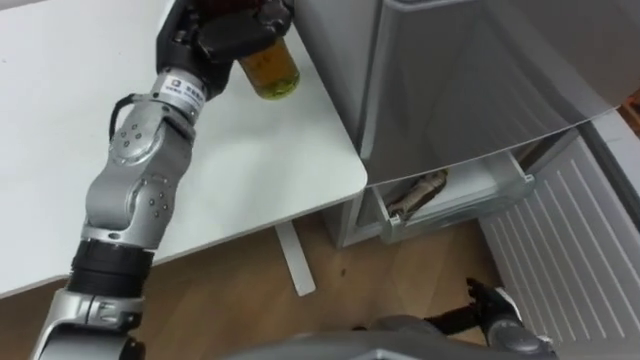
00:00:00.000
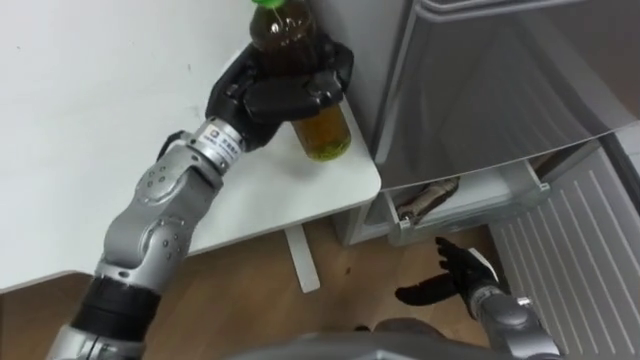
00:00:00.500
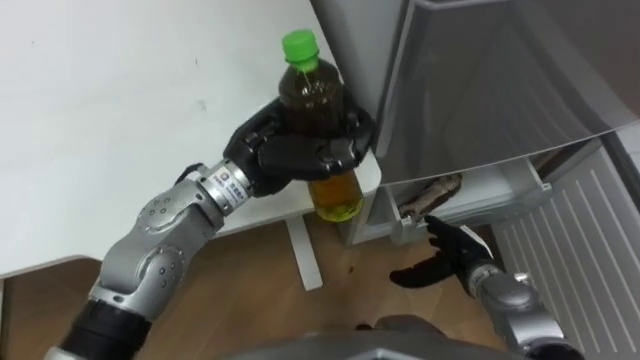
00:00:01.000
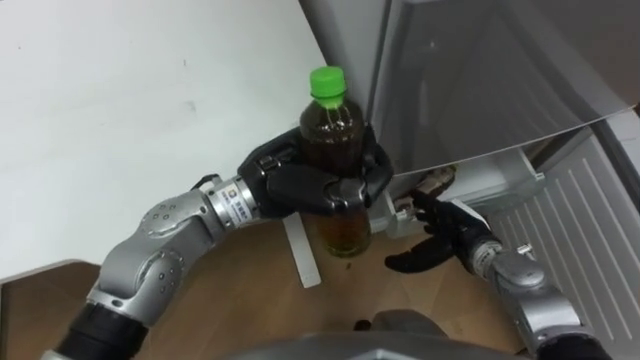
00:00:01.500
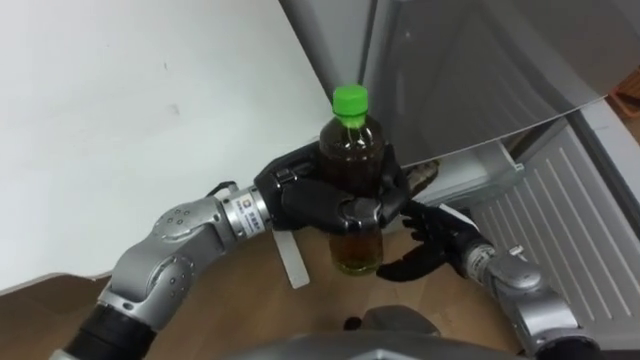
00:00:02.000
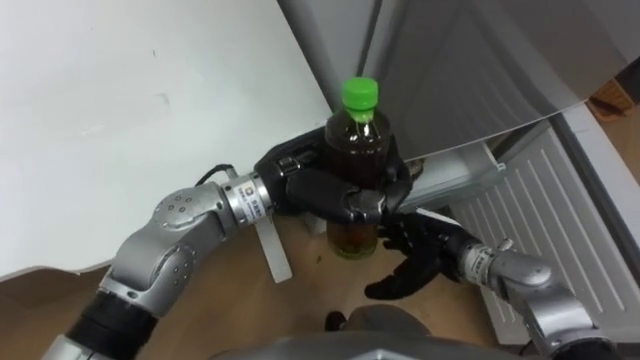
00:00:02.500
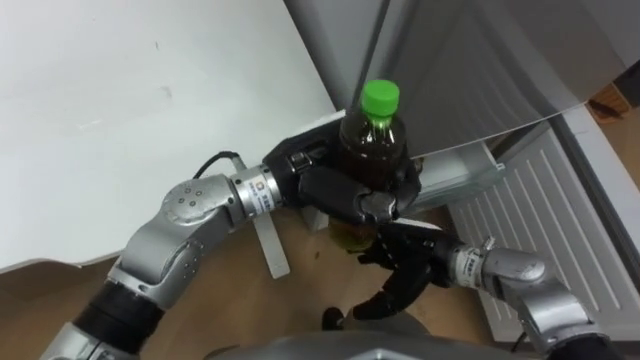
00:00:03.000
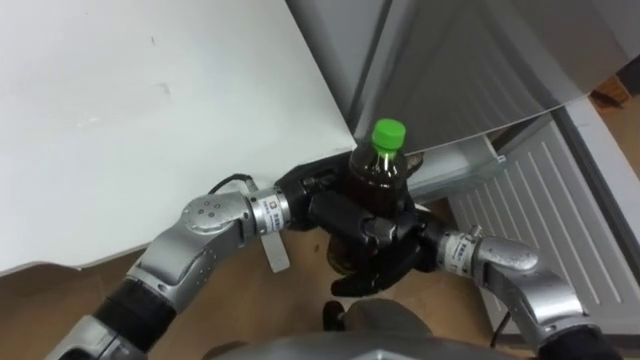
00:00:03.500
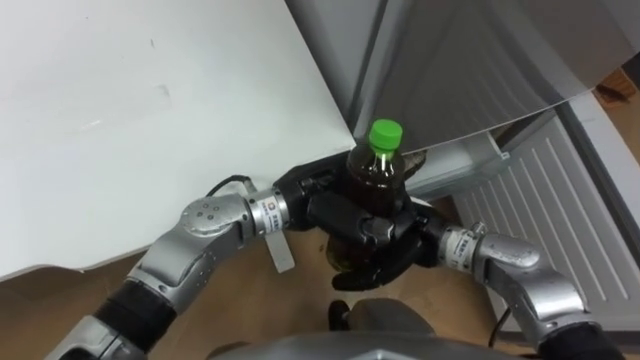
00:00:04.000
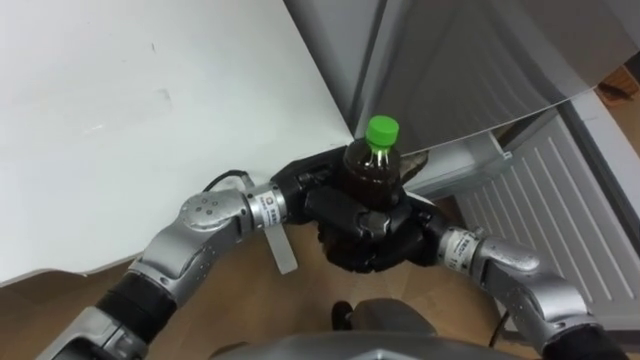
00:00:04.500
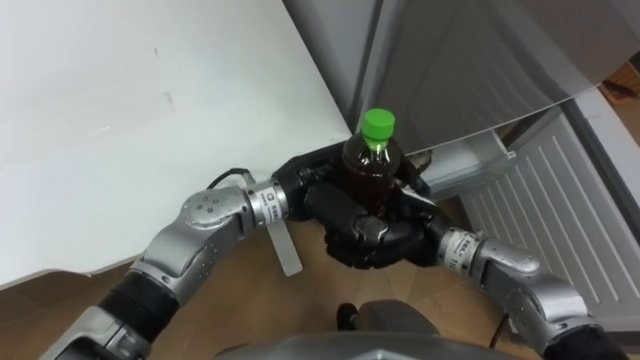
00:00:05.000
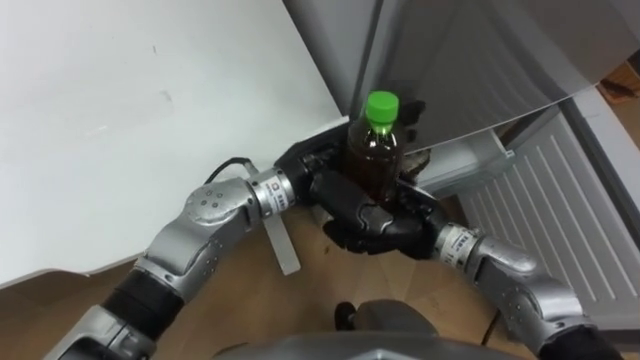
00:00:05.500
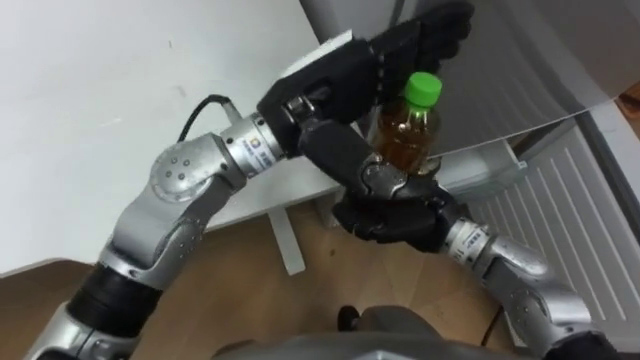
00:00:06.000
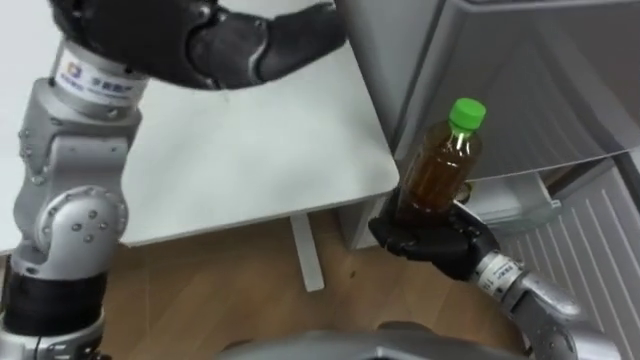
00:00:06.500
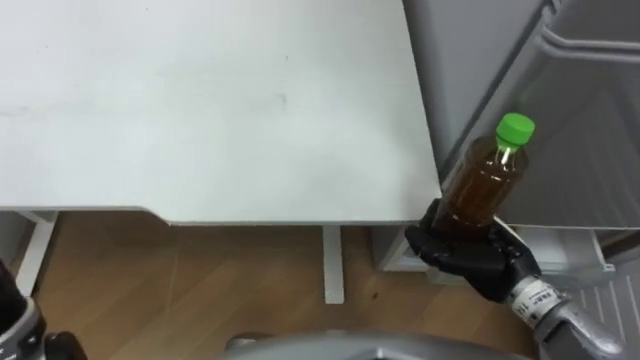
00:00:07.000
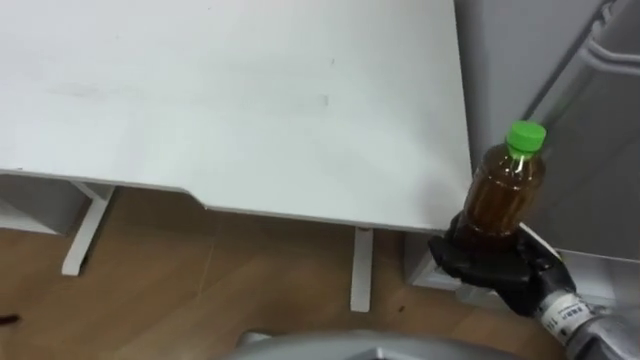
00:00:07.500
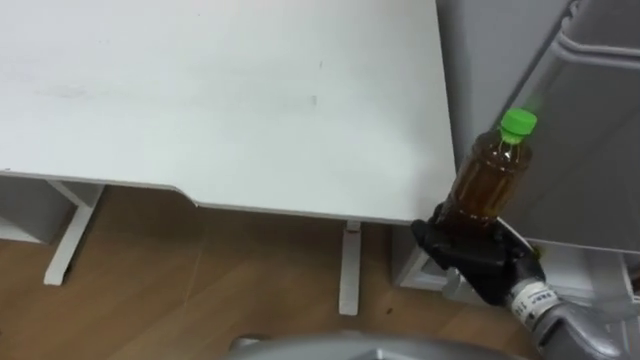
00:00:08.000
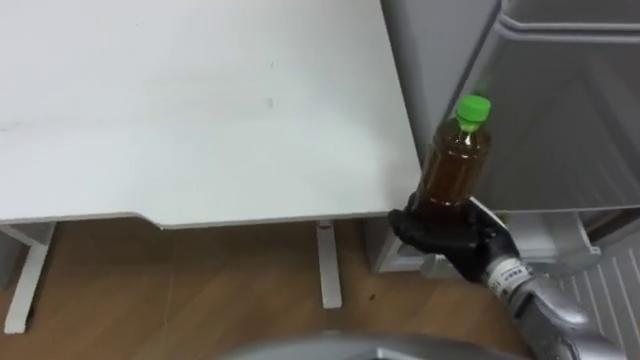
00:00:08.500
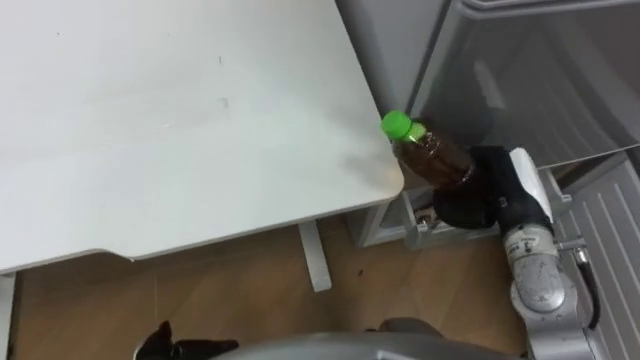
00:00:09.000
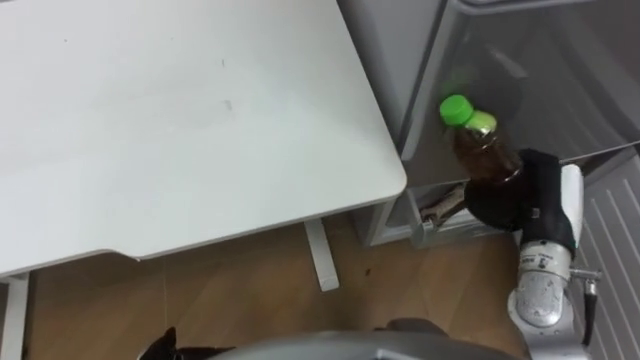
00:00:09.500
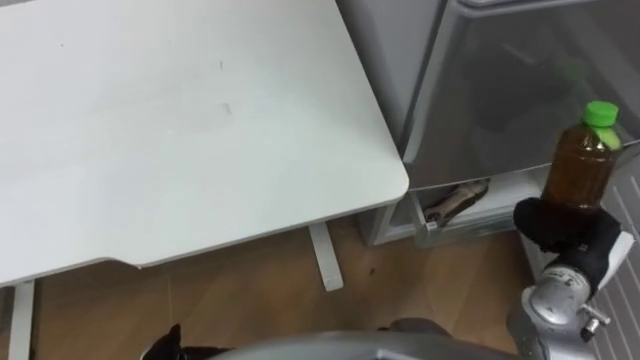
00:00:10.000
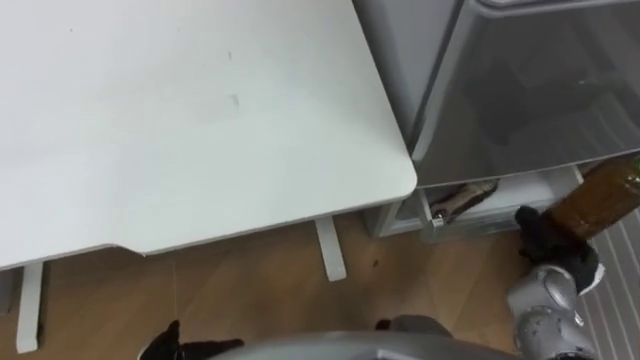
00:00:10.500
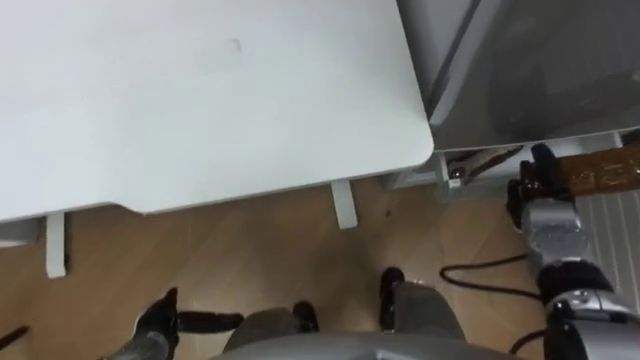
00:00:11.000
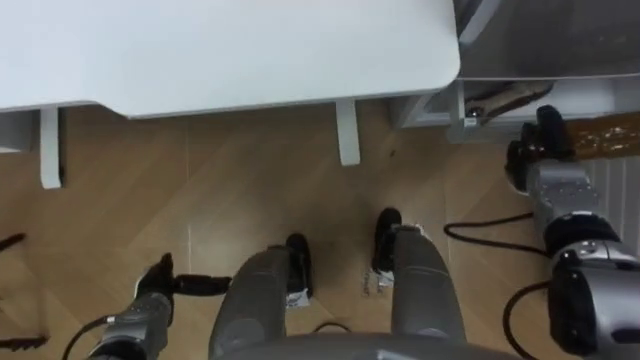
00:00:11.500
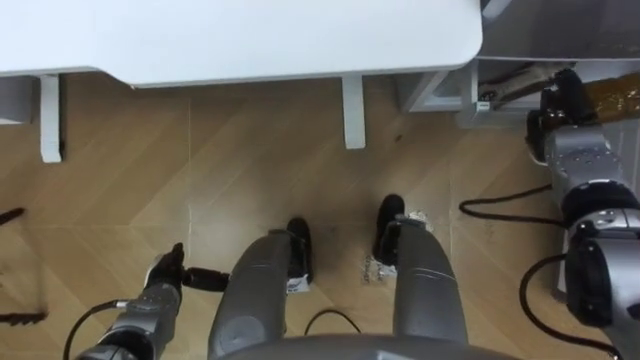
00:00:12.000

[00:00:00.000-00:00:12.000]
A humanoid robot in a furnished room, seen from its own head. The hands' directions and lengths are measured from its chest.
Task of the whole recording: Place the drink on the table on the bottom shelf of the refrigerator, then close the drawer and the refrigerator door.
00:00:00.000 to 00:00:02.000: The right hand moves forward, upward and to the left, roughly 15 cm. Meanwhile the left hand heads backward, to the right and downward, covering some 20 cm.
00:00:02.000 to 00:00:04.000: The right hand shifts approximately 10 cm to the left and upward.
00:00:04.000 to 00:00:06.000: The left hand shifts approximately 15 cm upward, and opens up. Meanwhile the right hand closes up.
00:00:06.000 to 00:00:08.000: The right hand shifts about 15 cm to the right and backward.
00:00:08.000 to 00:00:10.000: The right hand goes roughly 10 cm to the right.
00:00:10.000 to 00:00:12.000: The right hand goes about 15 cm forward.

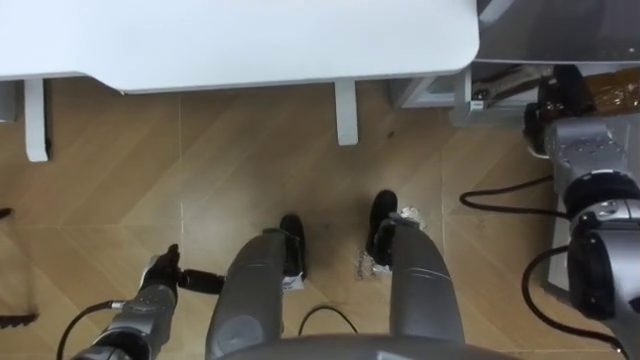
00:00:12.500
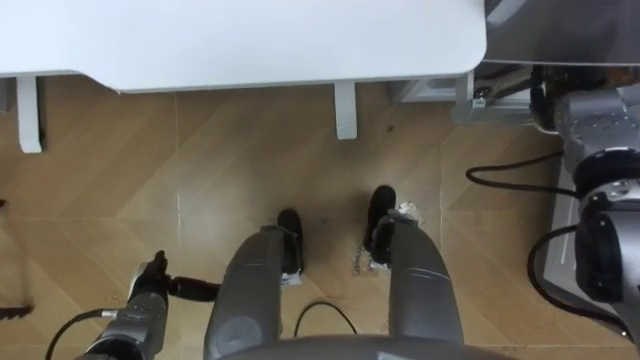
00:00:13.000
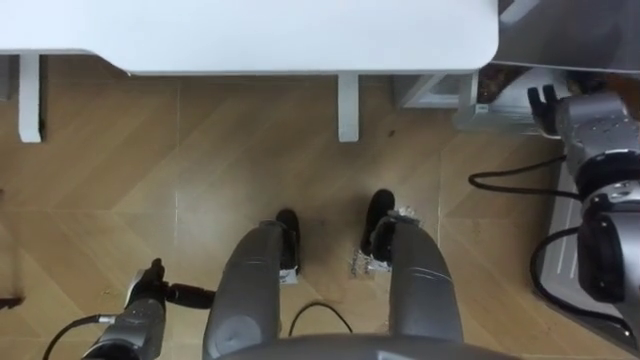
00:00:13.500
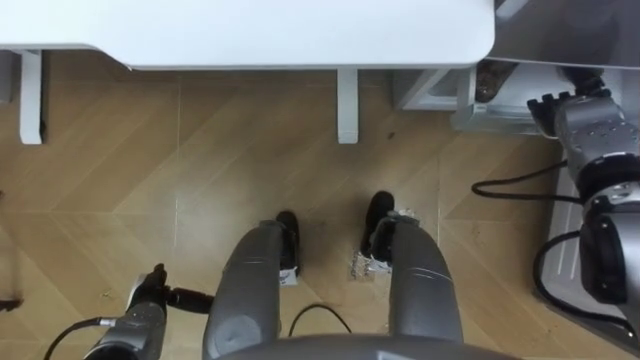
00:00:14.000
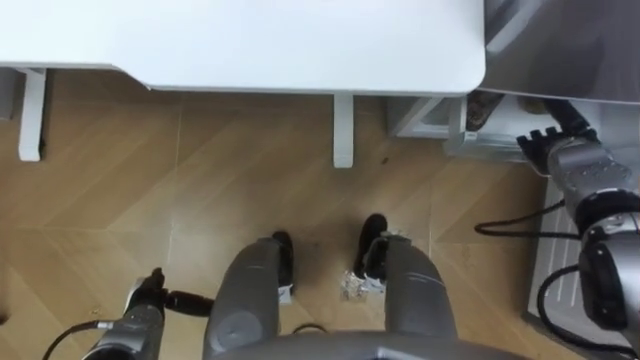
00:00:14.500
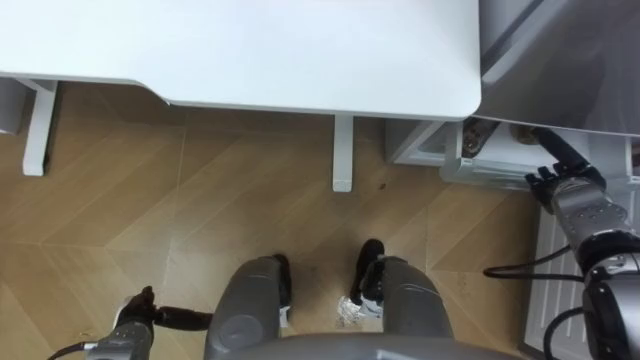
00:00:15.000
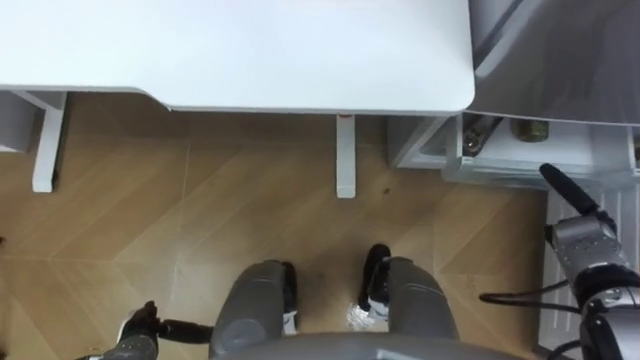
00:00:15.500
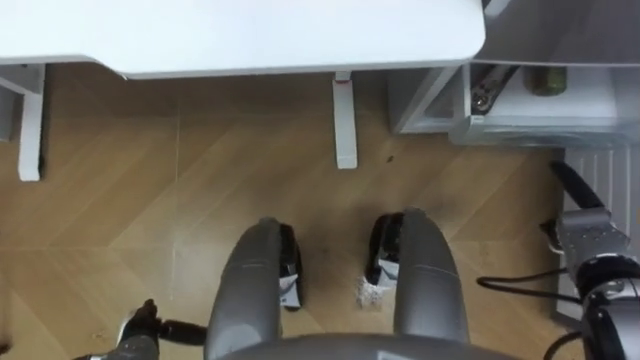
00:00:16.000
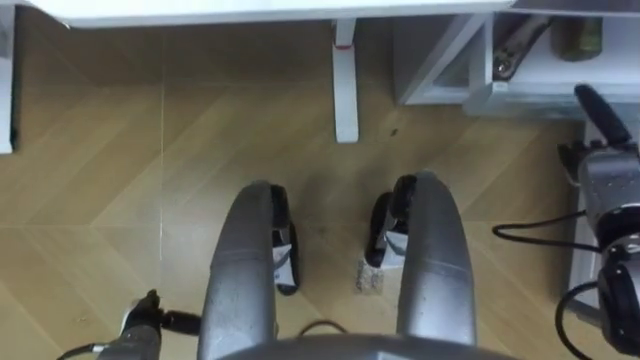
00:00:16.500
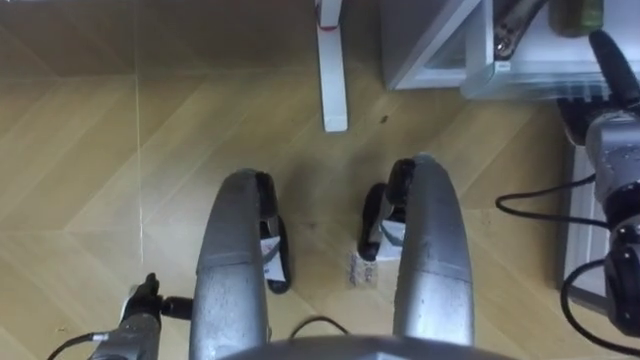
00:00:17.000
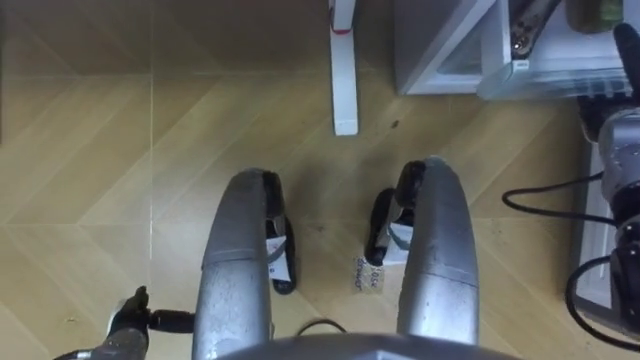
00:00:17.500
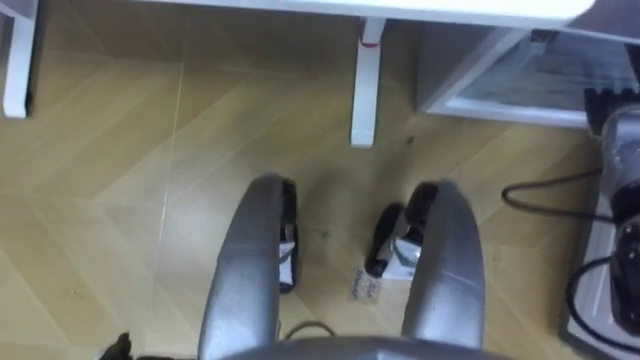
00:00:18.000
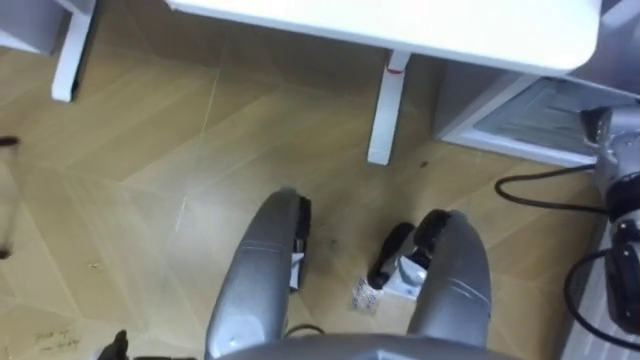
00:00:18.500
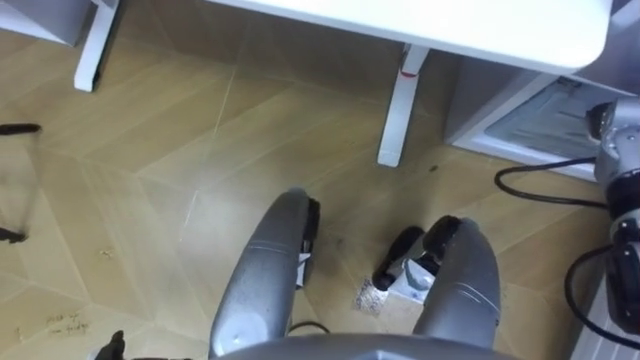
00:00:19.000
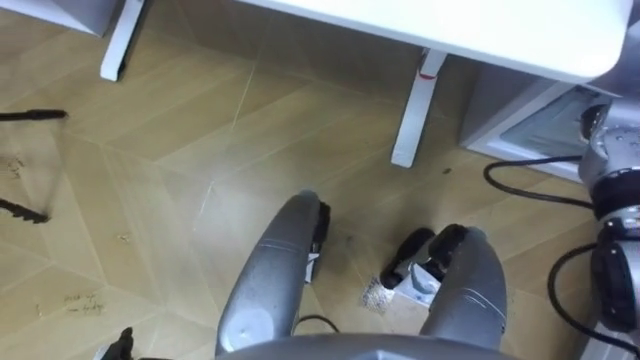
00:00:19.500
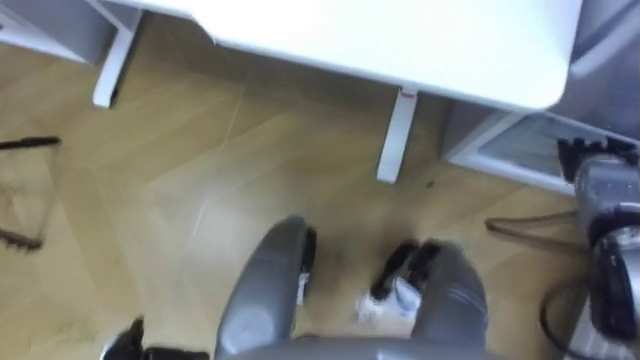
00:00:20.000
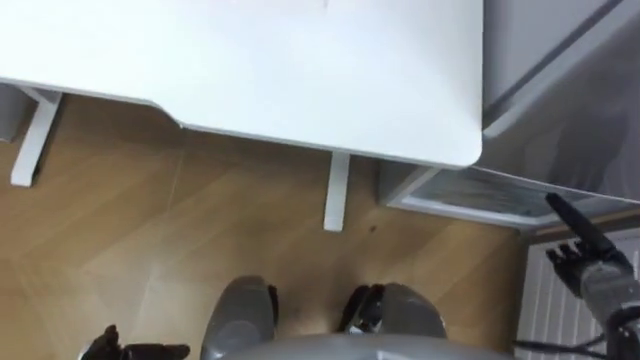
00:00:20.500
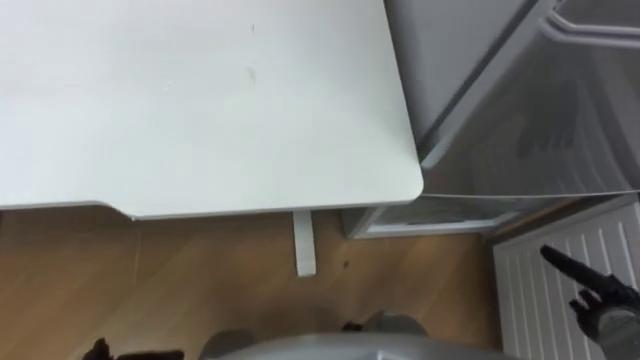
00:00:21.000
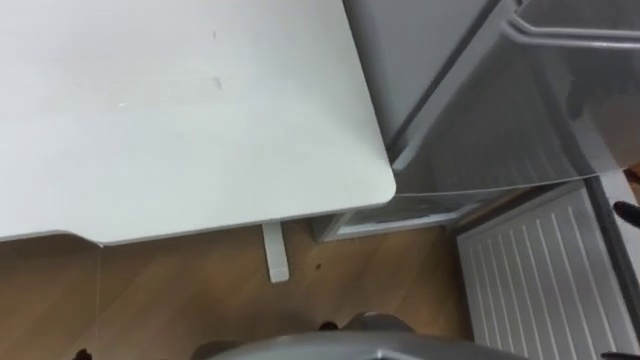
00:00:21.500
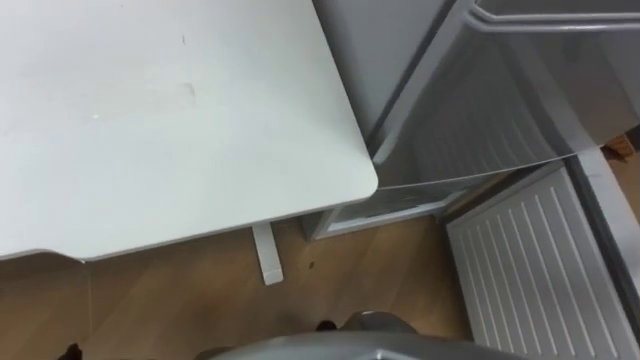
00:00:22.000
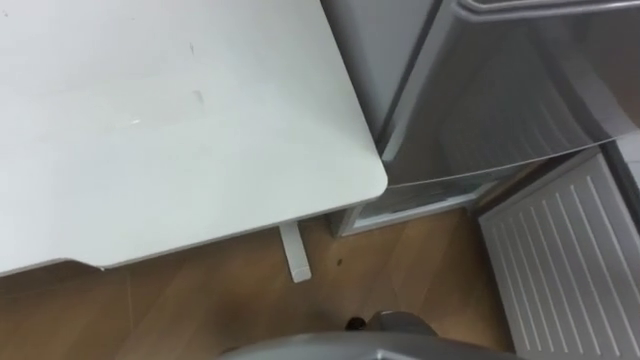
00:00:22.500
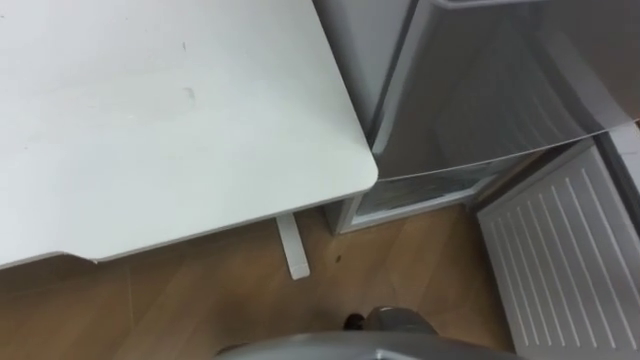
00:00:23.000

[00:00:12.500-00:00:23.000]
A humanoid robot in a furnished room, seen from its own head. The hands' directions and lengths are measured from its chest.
Task of the whole recording: Place the drink on the table on the bottom shelf of the refrigerator, then close the drawer and the refrigerator door.
00:00:12.500 to 00:00:14.500: The right hand opens up.
00:00:14.500 to 00:00:16.500: The right hand reaches approximately 10 cm backward, then returns.
00:00:16.500 to 00:00:19.000: The right hand heads upward, covering some 5 cm.
00:00:19.000 to 00:00:21.000: The right hand moves backward and downward, approximately 30 cm.
